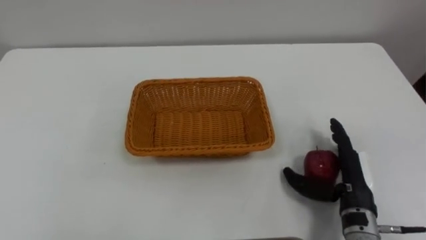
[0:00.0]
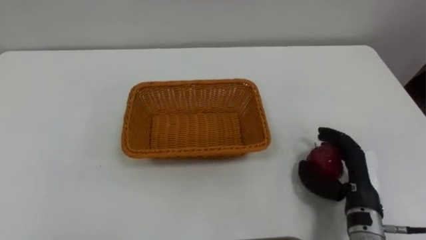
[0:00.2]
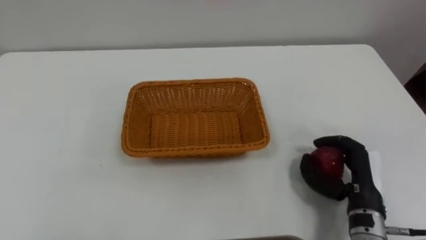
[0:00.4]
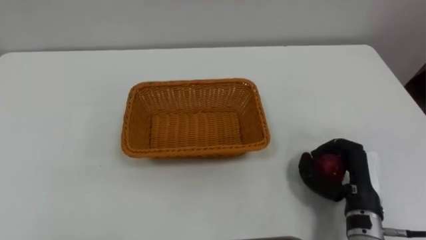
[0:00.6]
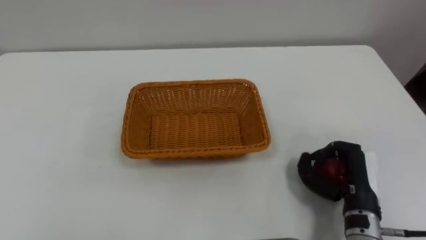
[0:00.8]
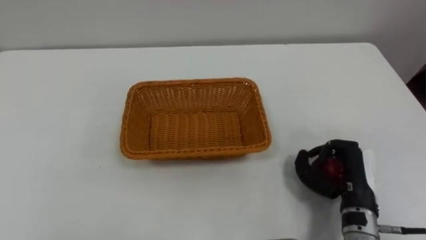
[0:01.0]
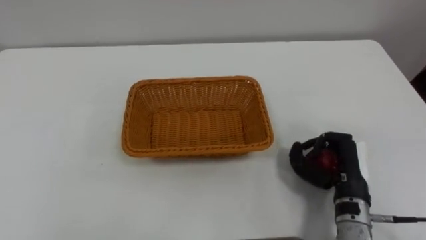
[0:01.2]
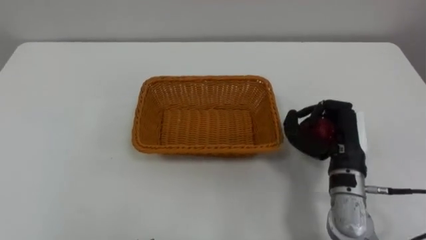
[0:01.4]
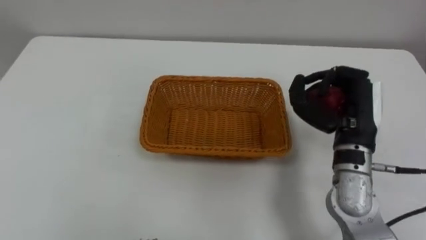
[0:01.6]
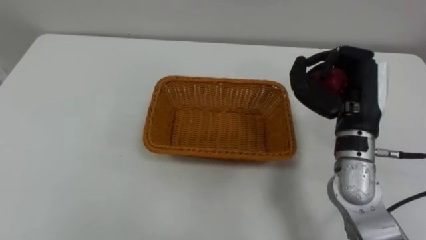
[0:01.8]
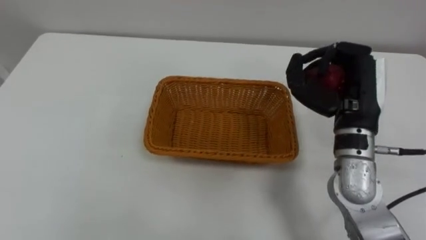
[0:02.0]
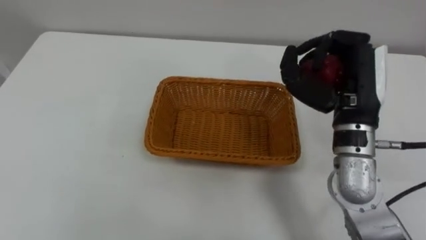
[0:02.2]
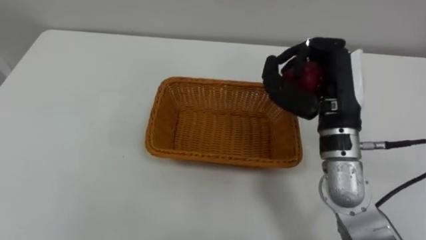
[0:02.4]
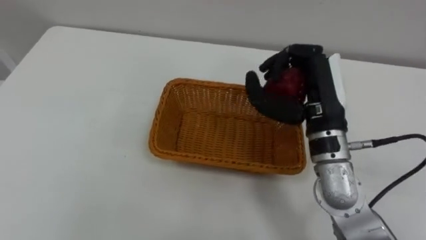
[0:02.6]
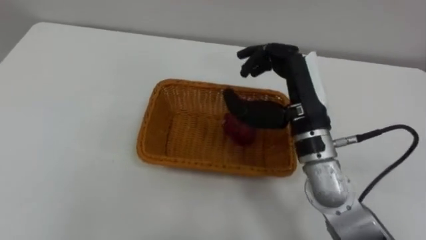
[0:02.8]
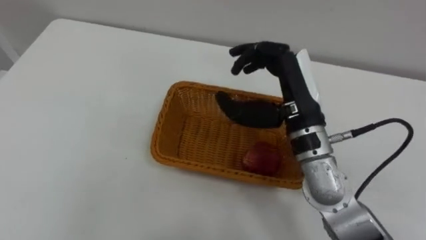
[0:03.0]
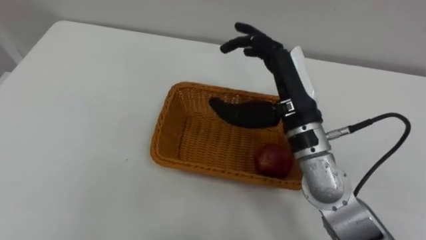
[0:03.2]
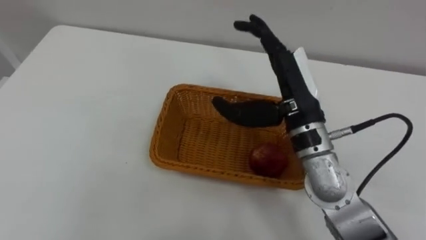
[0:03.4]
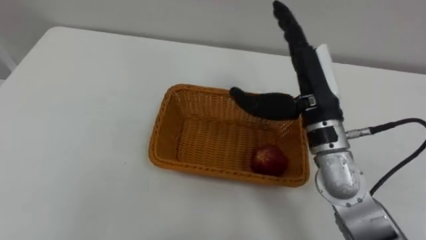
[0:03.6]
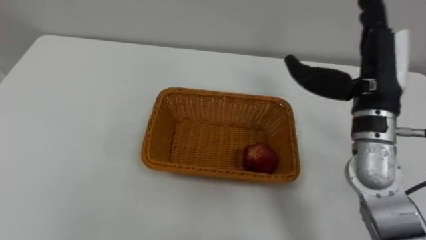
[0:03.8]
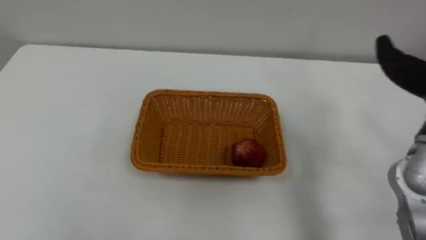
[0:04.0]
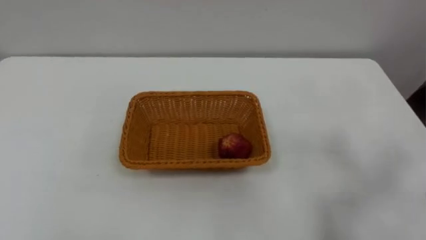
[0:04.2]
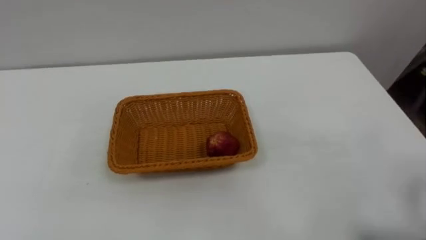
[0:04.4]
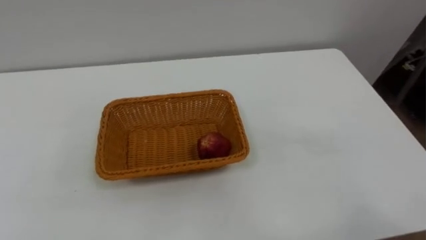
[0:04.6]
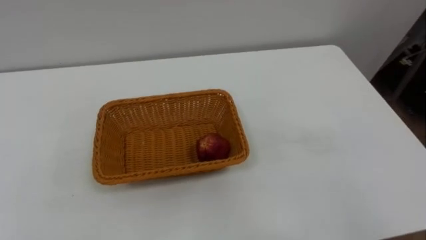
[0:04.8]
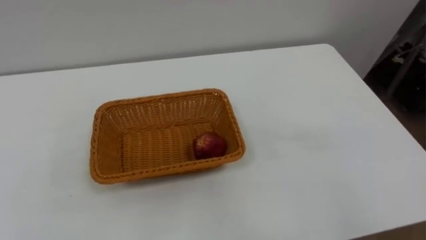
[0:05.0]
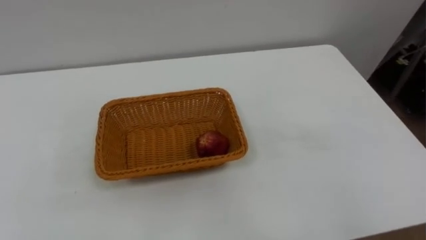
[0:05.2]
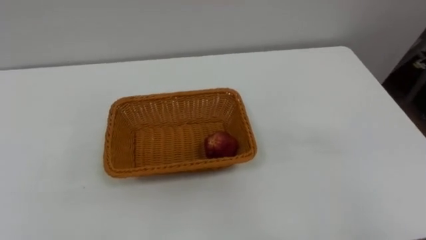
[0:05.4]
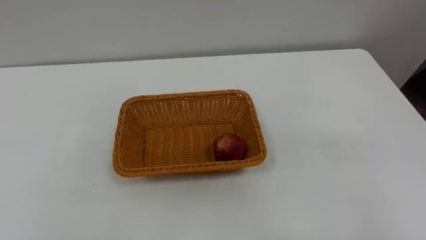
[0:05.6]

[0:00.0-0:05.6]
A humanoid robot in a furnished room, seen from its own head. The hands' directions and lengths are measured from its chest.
Task of the whole recording: Pick the apple and place it in the box.
0:00.0 to 0:01.4: The right hand goes roughly 5 cm upward, and closes up.
0:01.4 to 0:02.8: The right hand is displaced upward and to the left by roughly 15 cm.

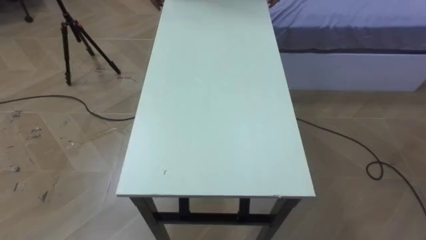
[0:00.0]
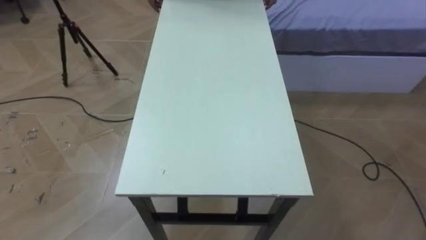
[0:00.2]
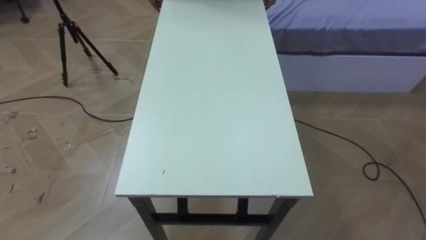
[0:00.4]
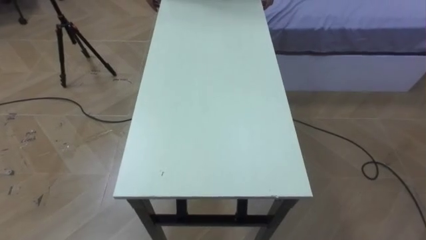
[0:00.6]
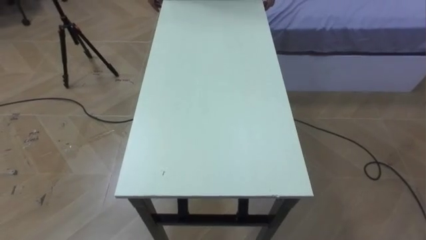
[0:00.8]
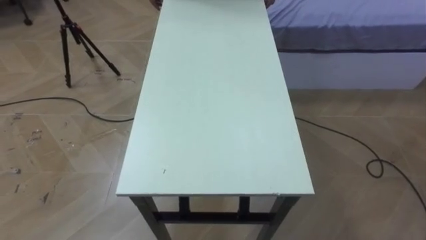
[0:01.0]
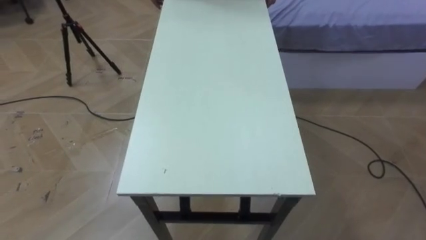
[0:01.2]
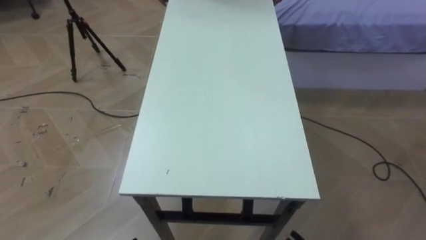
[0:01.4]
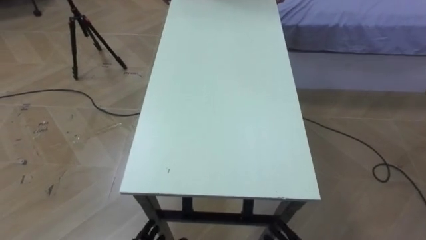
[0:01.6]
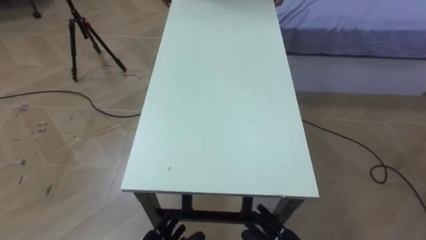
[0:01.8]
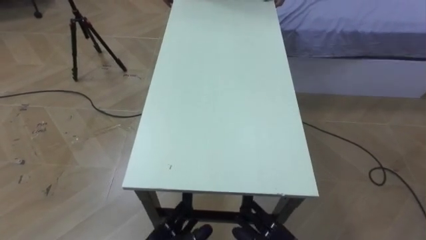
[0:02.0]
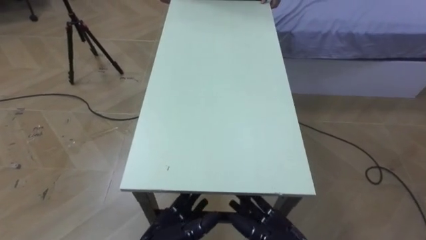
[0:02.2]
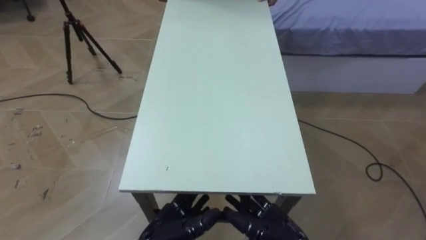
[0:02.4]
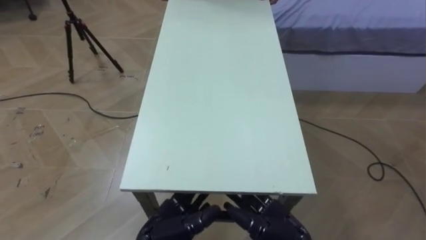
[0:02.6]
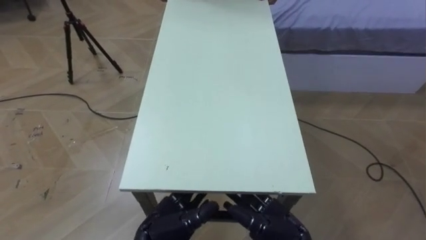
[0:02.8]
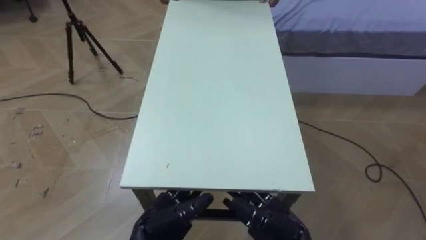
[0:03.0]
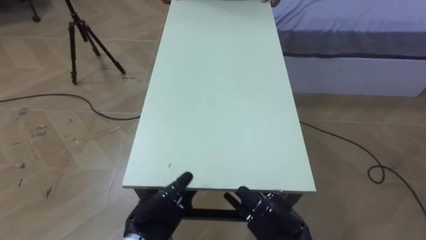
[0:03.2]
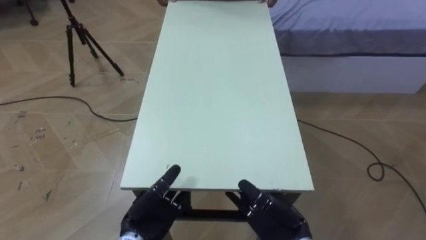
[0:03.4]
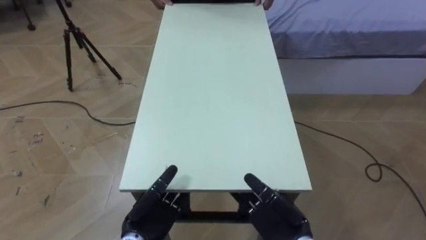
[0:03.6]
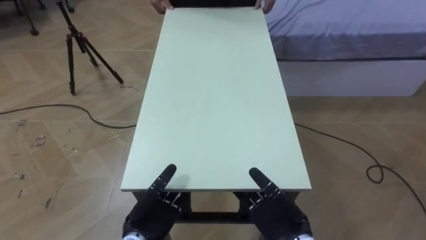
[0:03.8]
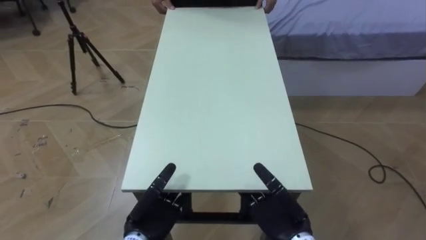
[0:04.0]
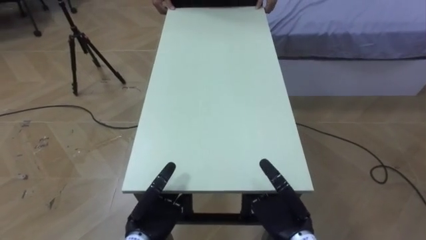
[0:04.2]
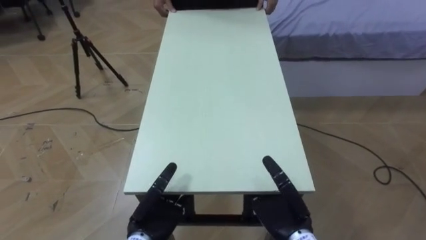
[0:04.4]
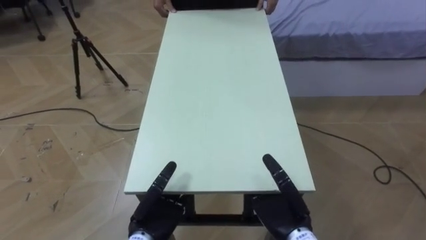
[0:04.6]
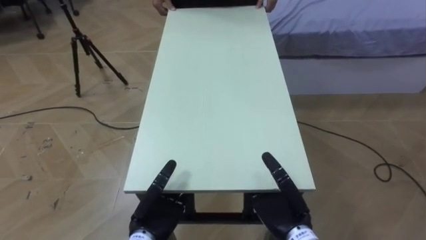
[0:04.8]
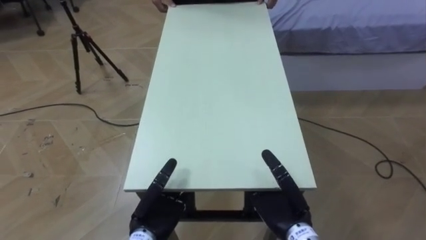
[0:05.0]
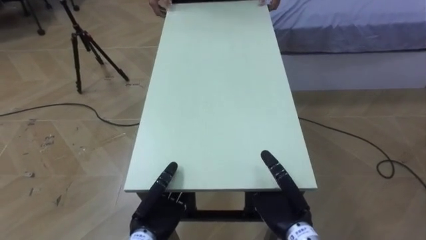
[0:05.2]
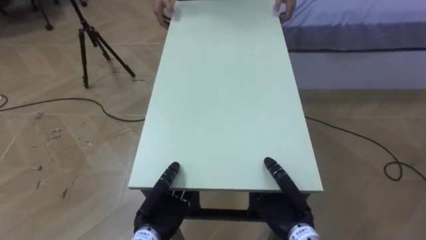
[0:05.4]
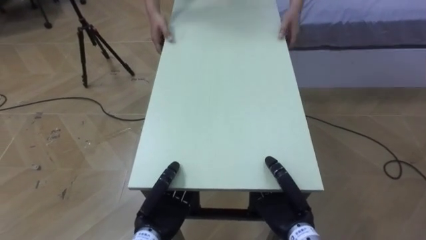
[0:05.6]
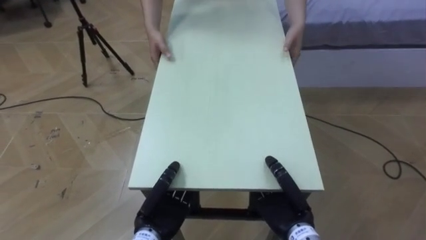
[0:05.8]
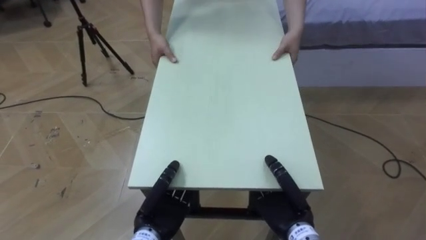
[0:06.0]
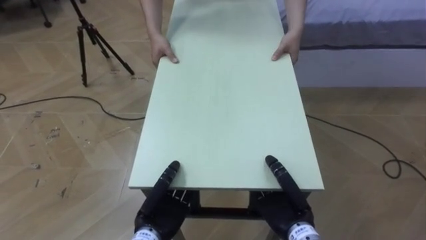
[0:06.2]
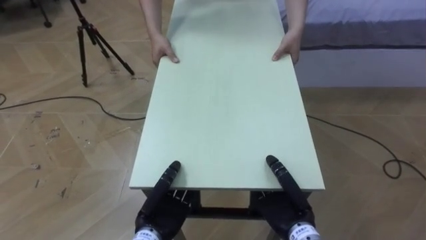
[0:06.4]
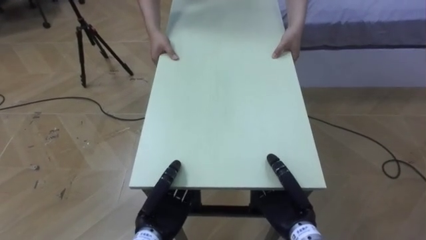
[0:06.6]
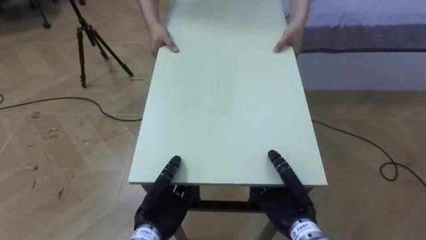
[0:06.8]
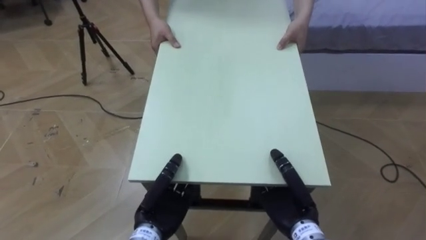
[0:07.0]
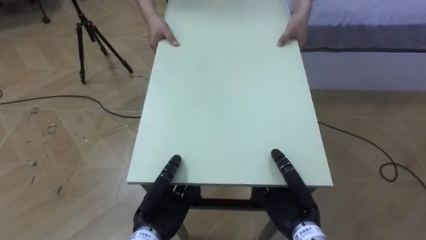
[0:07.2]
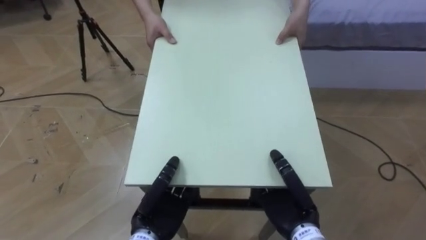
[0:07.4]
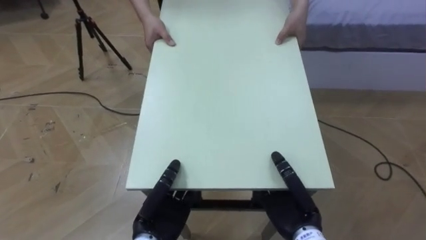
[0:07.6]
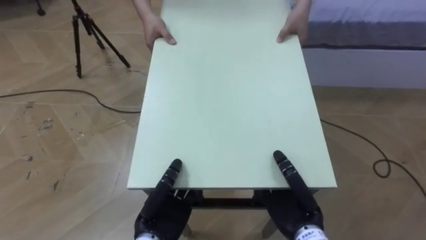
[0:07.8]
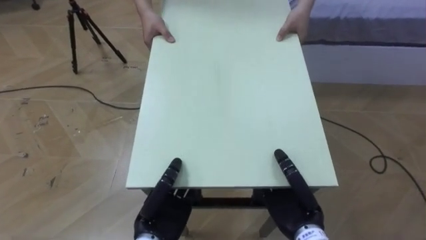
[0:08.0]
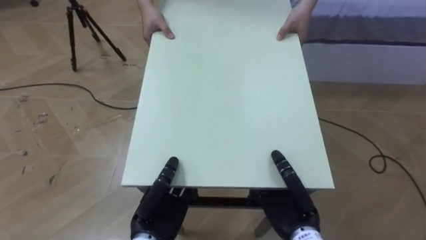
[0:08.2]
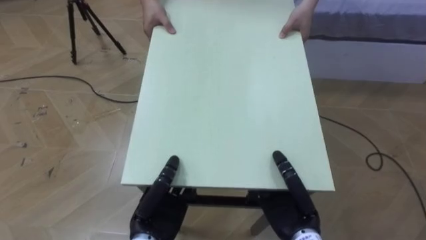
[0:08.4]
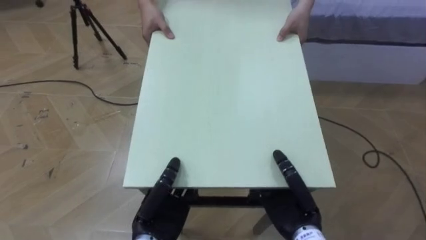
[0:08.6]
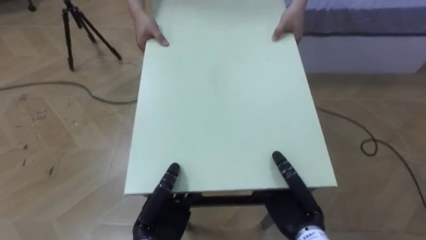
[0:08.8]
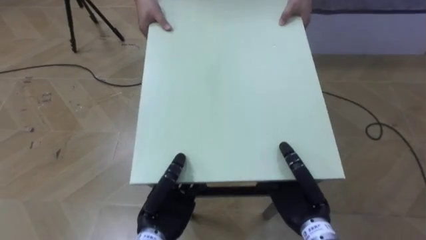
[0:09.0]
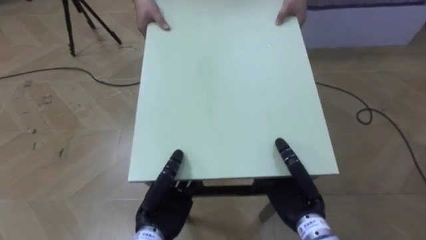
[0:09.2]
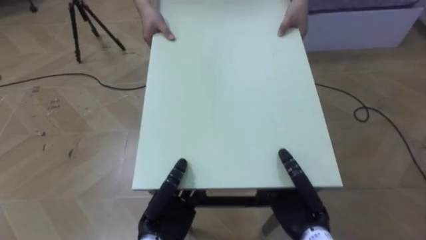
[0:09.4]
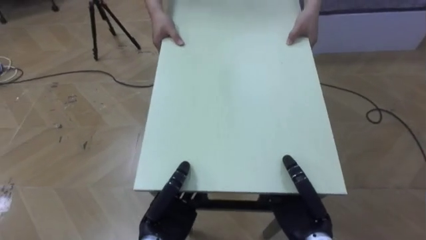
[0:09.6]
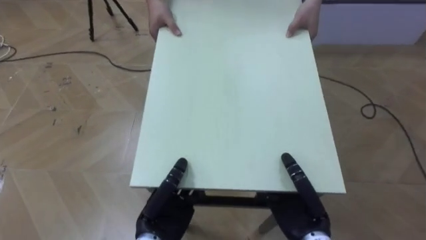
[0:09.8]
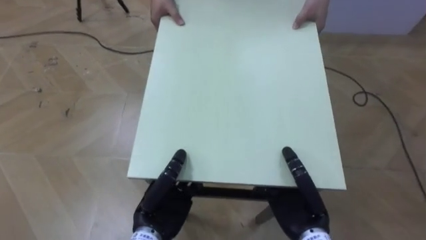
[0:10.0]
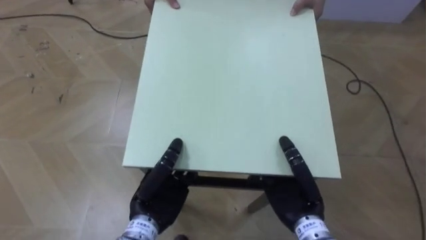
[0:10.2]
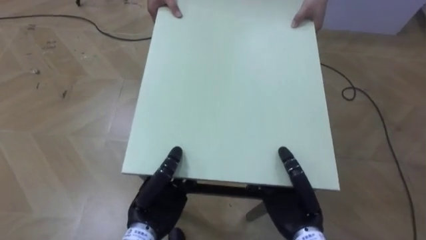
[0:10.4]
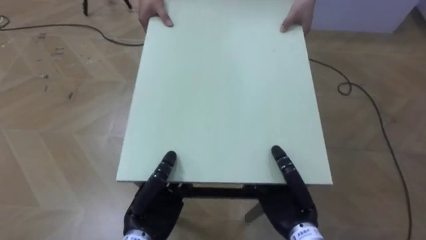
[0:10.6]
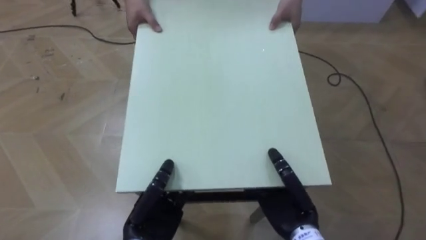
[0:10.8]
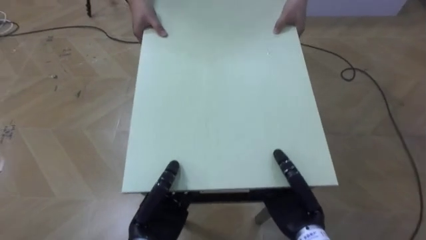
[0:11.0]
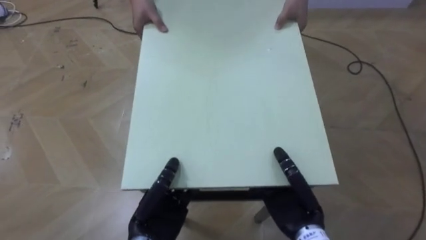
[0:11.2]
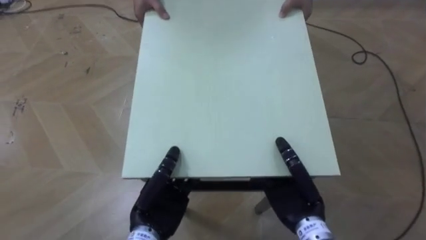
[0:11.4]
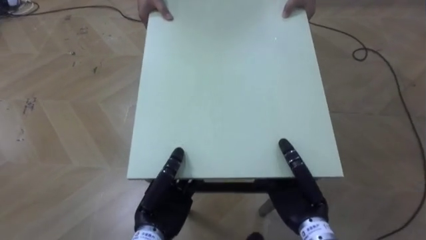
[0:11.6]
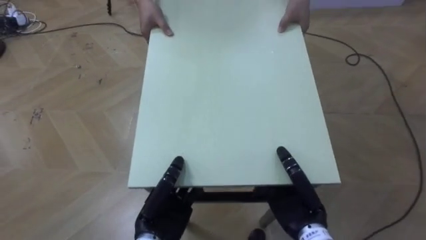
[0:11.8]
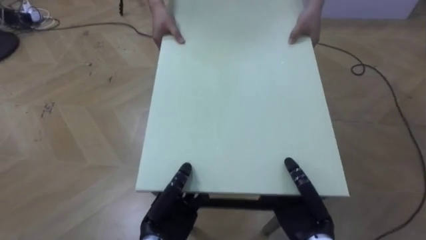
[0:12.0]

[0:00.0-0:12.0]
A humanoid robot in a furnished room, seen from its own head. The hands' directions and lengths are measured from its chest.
Task of the whole recording: Move the table to the back left with someone.
0:04.4 to 0:06.0: The left hand closes; the right hand closes its fingers.
